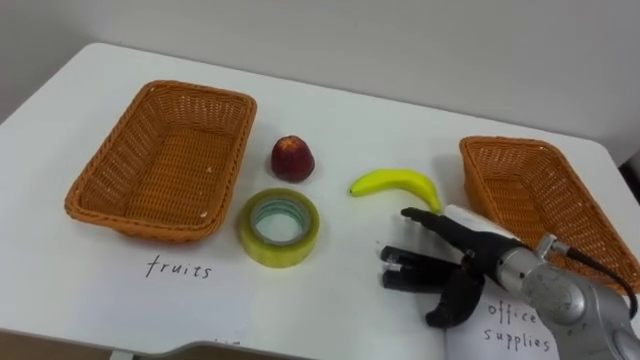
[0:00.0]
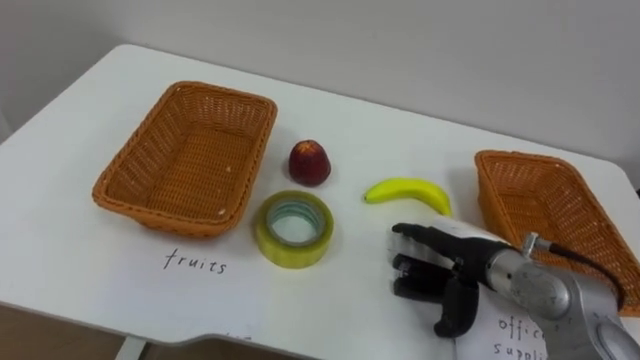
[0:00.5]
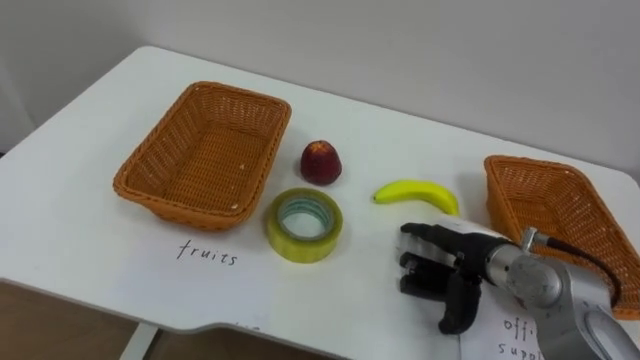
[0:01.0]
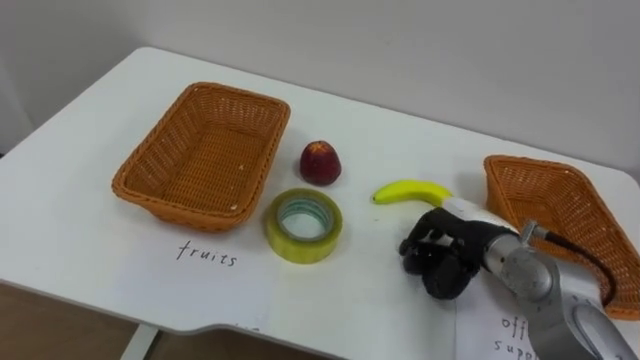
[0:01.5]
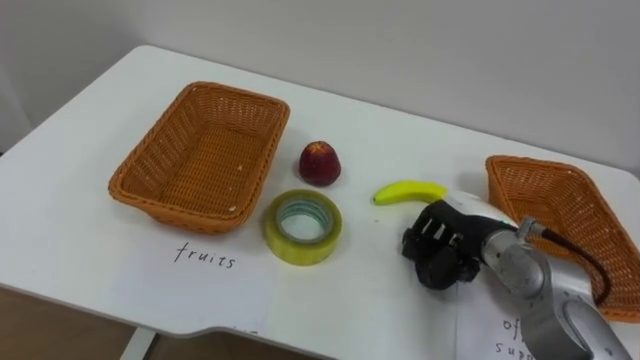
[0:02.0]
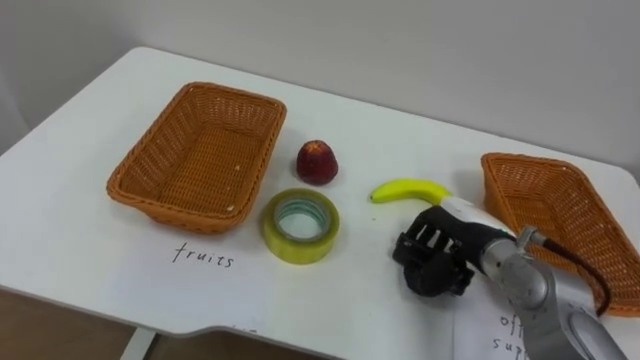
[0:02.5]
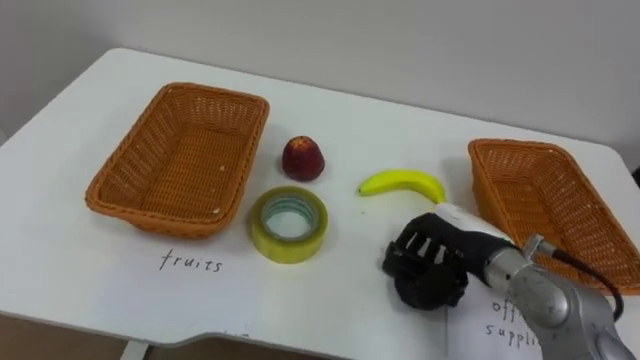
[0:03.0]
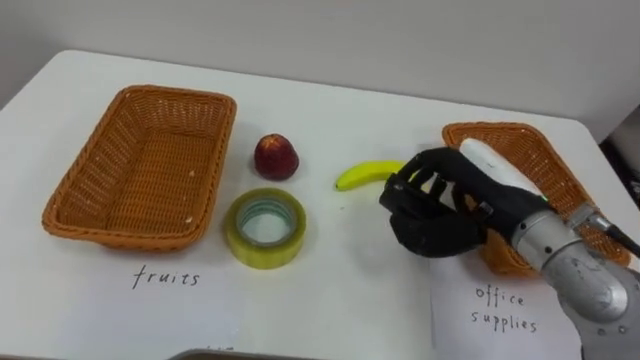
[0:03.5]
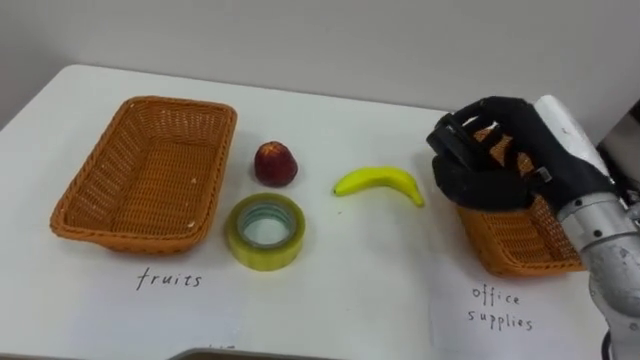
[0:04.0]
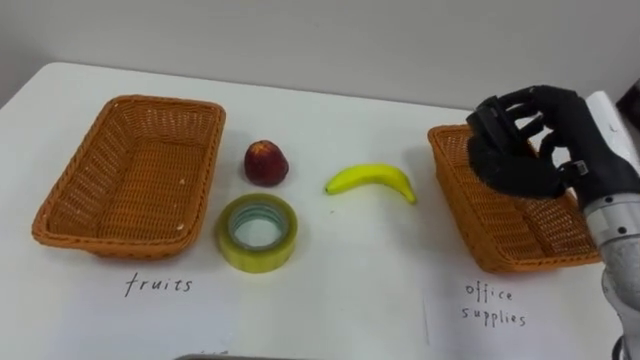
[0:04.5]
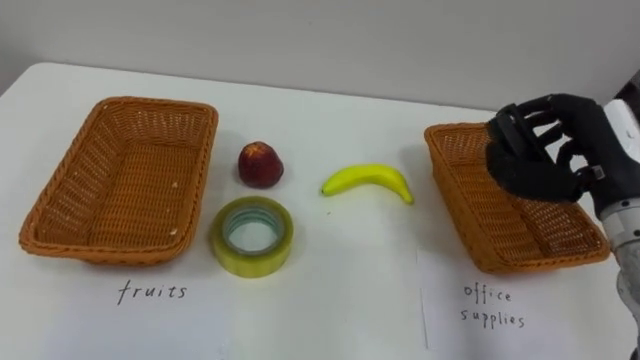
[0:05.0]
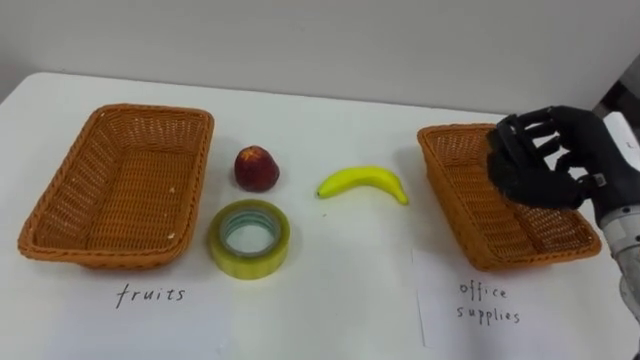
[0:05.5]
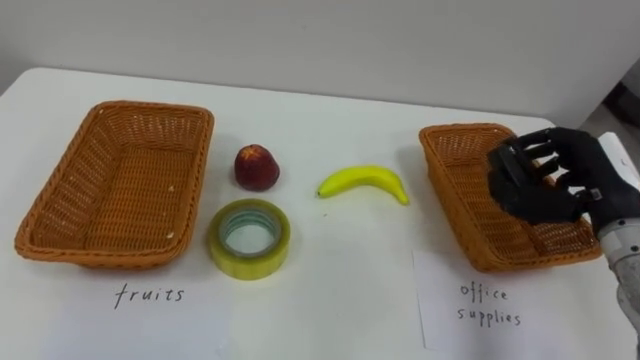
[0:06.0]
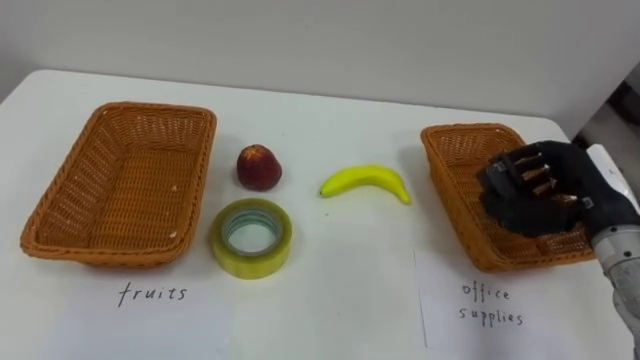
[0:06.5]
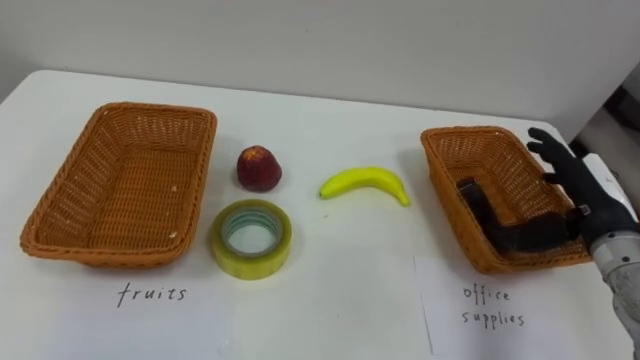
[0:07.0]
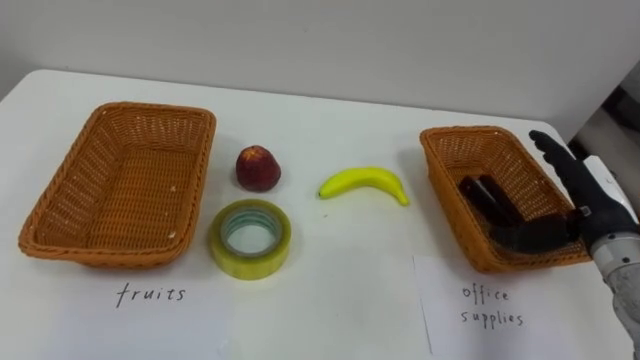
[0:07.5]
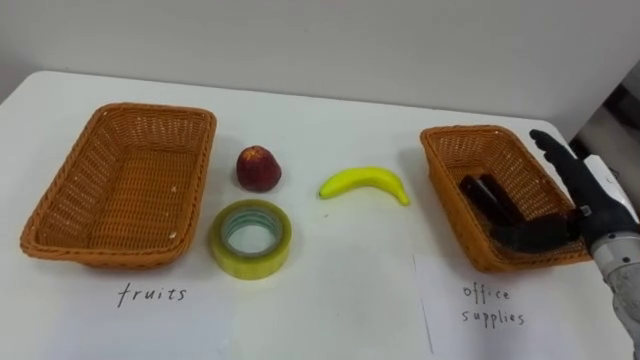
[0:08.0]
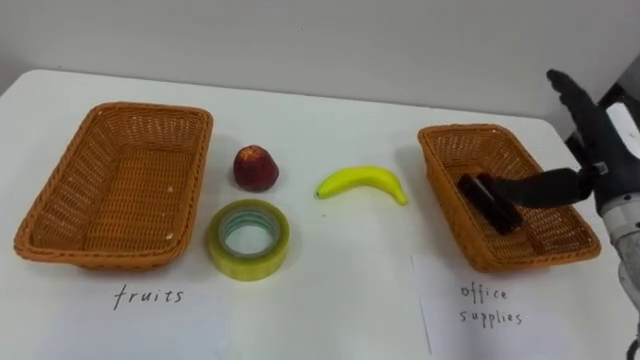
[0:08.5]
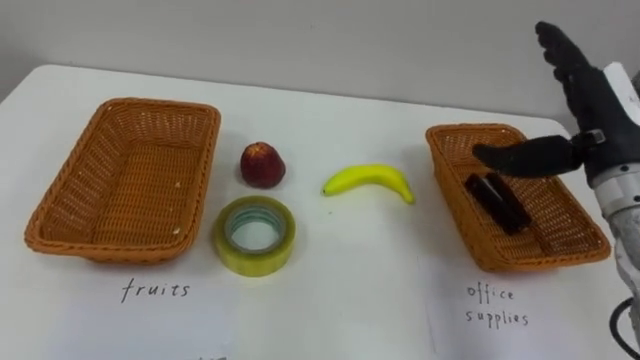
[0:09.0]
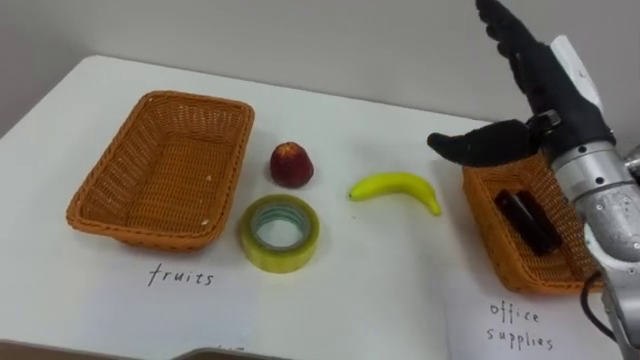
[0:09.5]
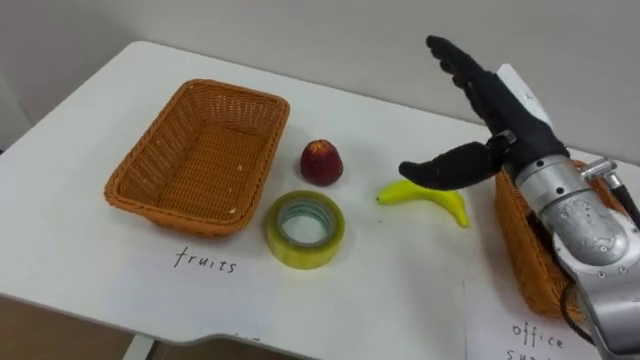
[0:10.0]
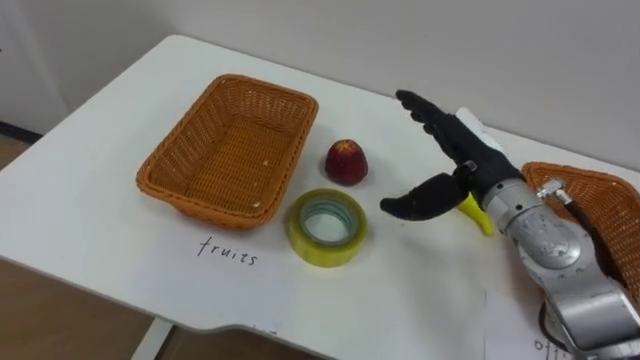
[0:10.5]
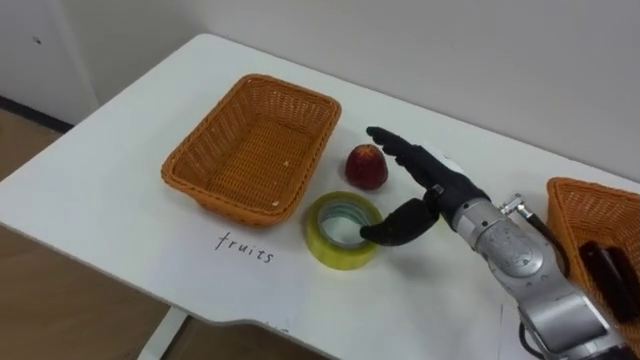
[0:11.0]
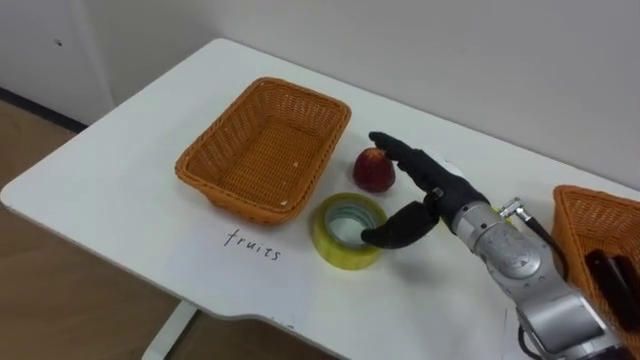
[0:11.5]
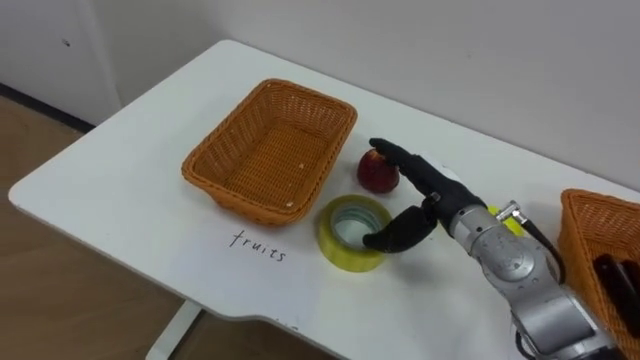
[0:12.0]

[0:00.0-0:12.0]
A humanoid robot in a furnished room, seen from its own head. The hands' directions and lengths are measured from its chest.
Task of the whole recording: Separate the items on the table and place them into the two baskets.
0:00.0 to 0:02.0: The right hand closes its fingers.
0:02.0 to 0:04.0: The right hand moves upward, about 15 cm.
0:04.0 to 0:06.0: The right hand is displaced to the right and downward by some 10 cm.
0:06.0 to 0:08.0: The right hand opens.
0:08.0 to 0:10.0: The right hand is displaced to the left and upward by approximately 15 cm.
0:10.0 to 0:12.0: The right hand shifts approximately 10 cm downward and to the left.

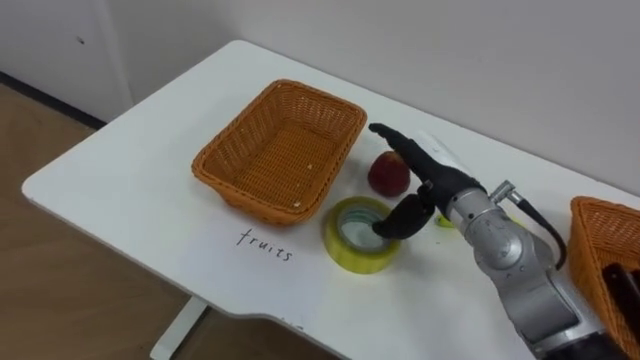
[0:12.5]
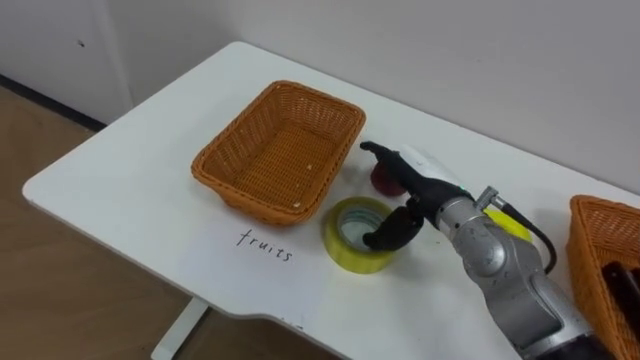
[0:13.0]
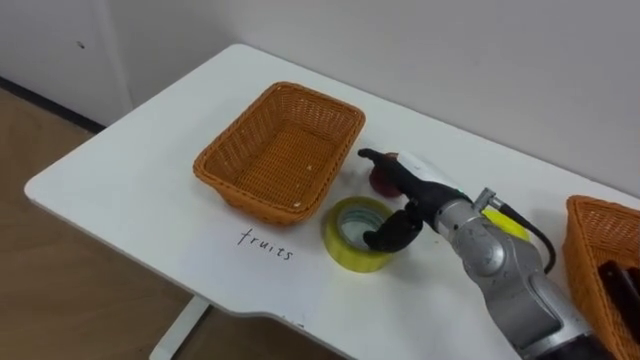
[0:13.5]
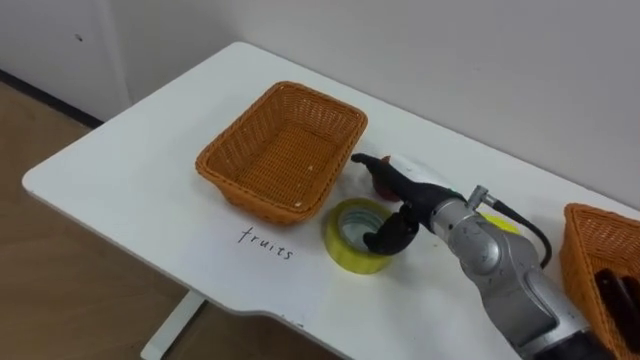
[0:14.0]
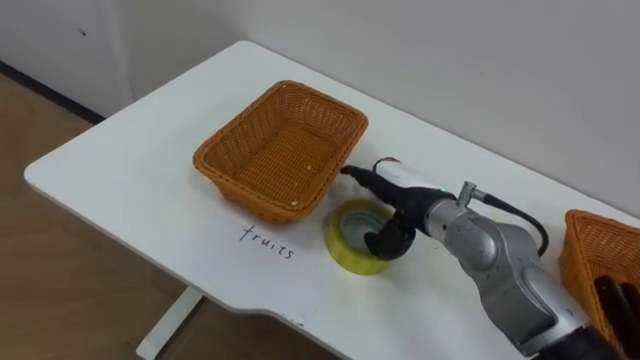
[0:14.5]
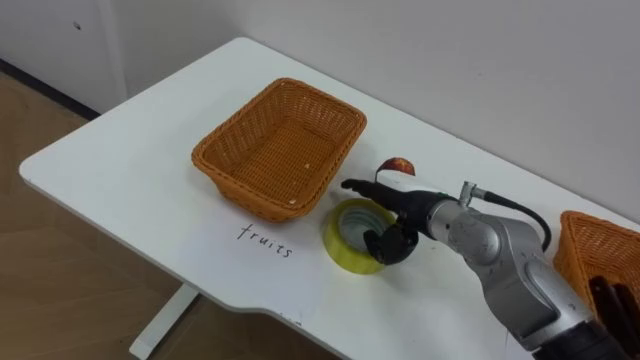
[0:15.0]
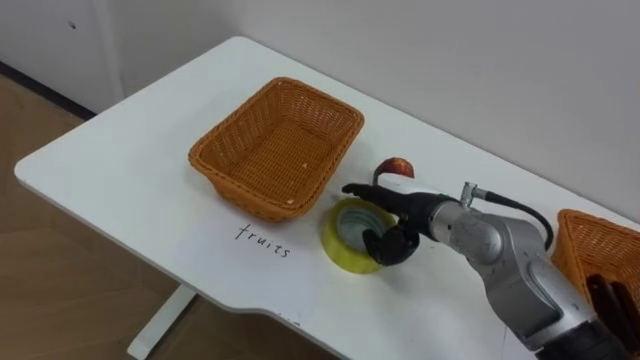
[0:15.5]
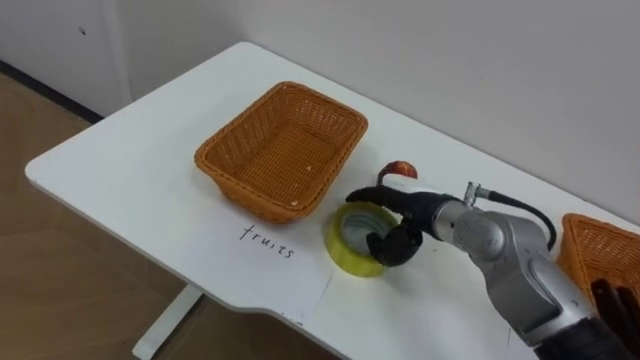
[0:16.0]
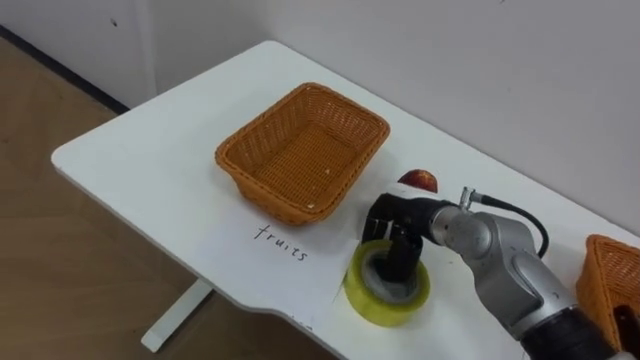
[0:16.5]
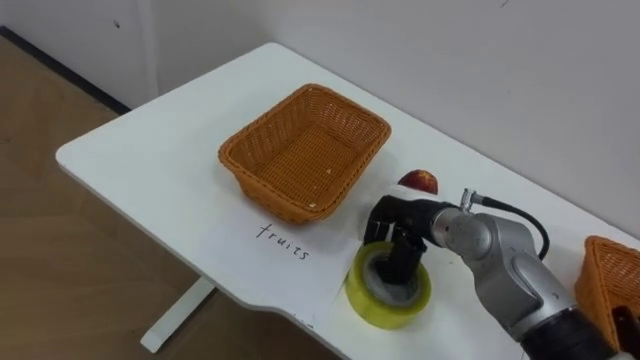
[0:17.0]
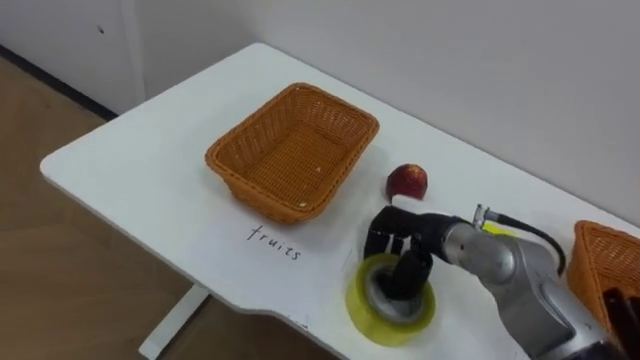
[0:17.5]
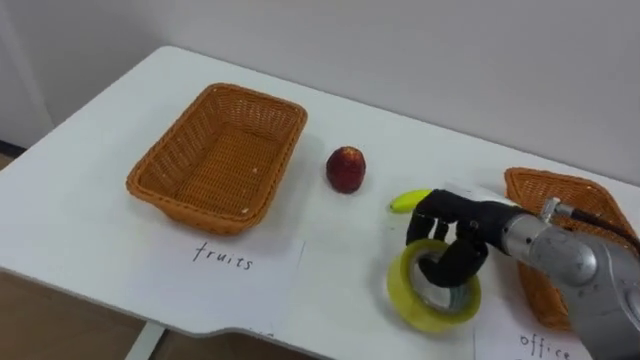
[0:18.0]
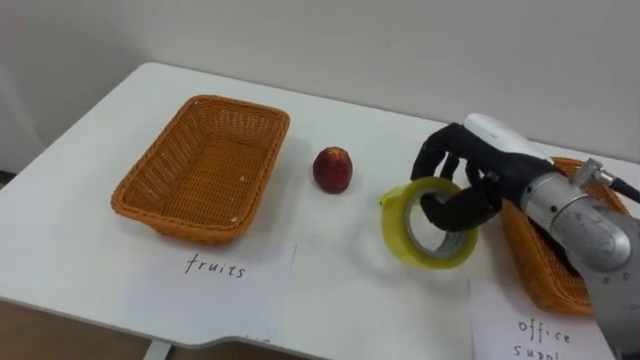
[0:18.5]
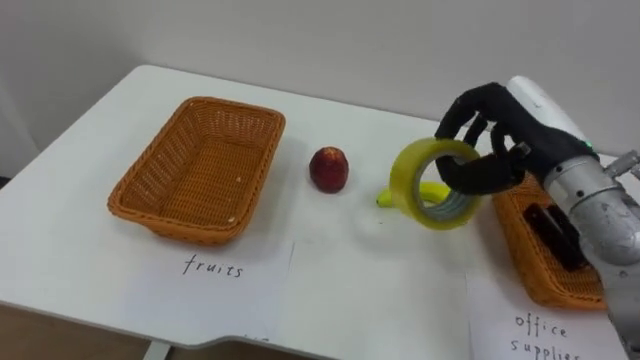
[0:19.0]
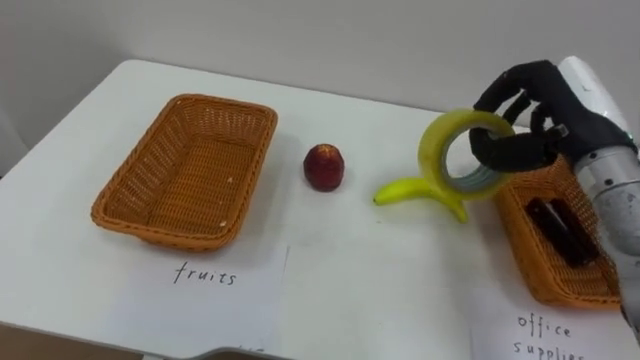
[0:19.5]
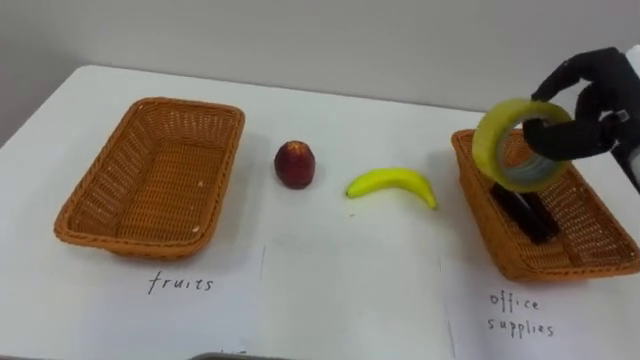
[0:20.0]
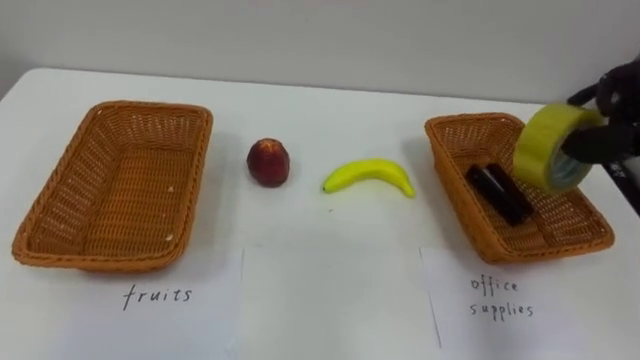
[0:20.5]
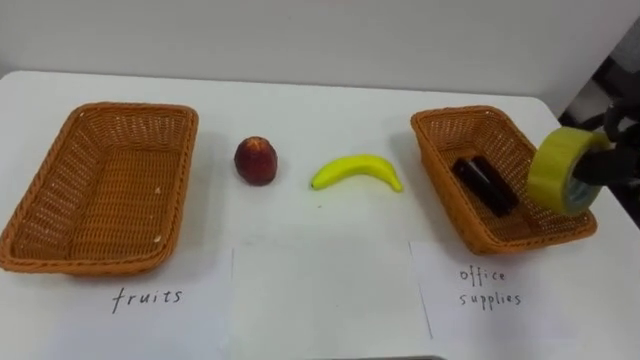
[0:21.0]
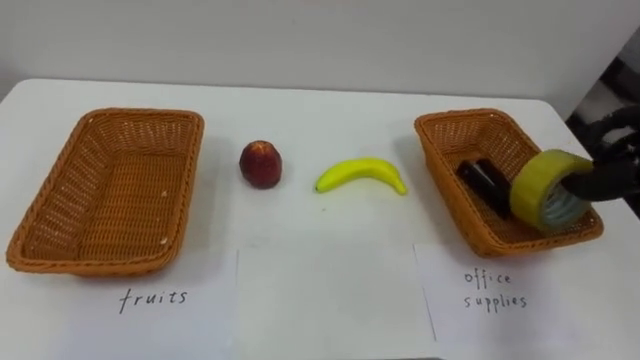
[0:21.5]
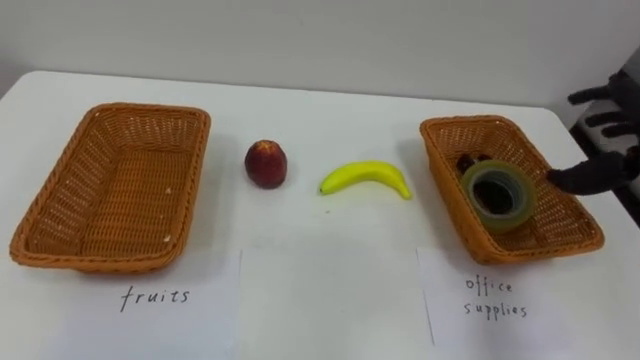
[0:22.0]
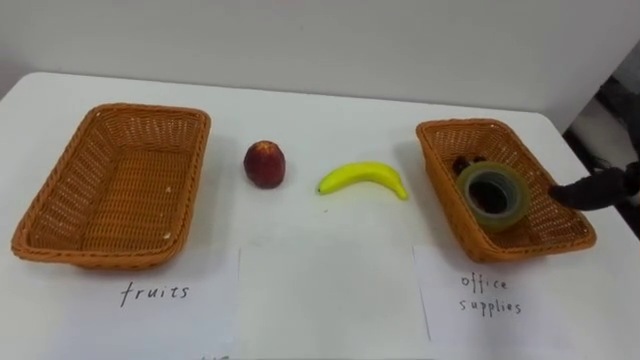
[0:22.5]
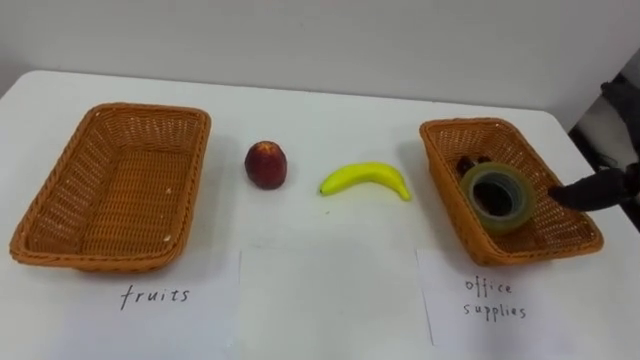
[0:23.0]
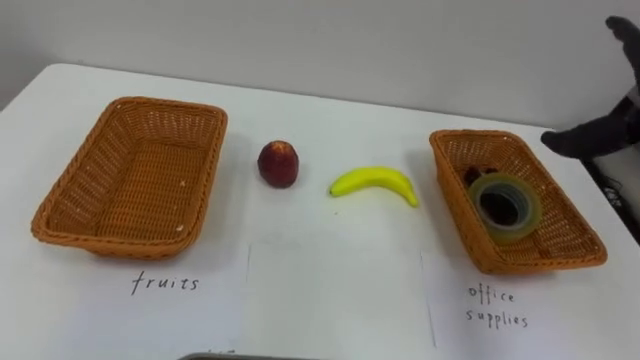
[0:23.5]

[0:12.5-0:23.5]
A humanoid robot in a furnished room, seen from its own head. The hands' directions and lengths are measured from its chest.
Task of the whole recording: Separate the items on the table and place them into the two baskets.
0:16.0 to 0:18.0: The right hand travels to the right by about 5 cm, and closes its fingers.
0:18.0 to 0:20.0: The right hand is displaced to the right and upward by roughly 20 cm.
